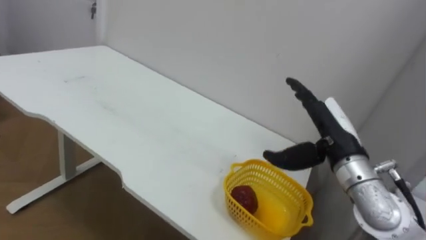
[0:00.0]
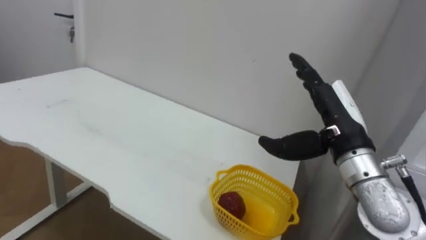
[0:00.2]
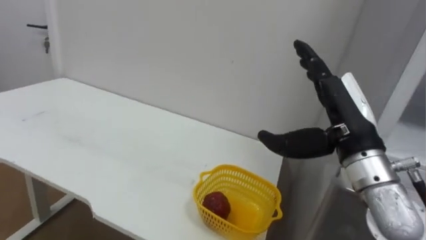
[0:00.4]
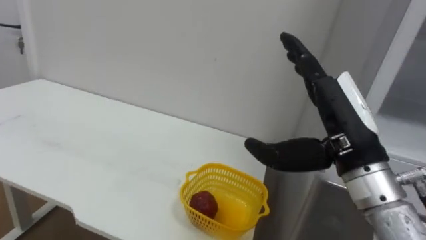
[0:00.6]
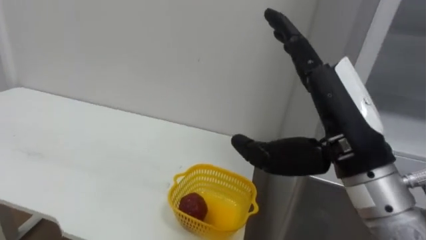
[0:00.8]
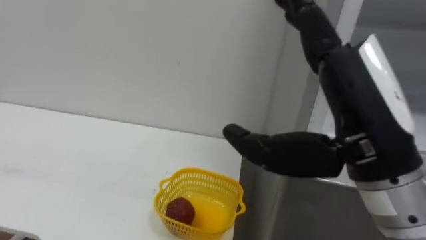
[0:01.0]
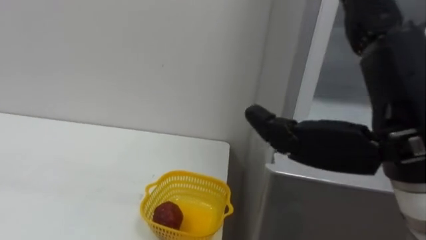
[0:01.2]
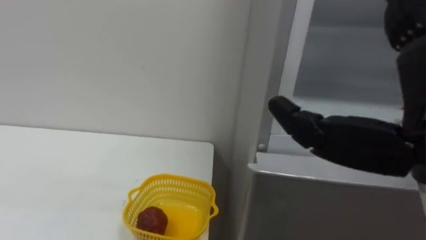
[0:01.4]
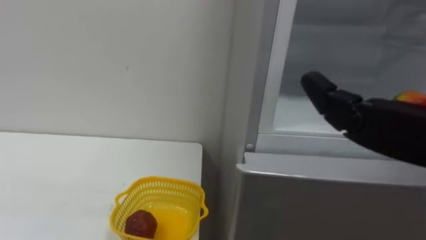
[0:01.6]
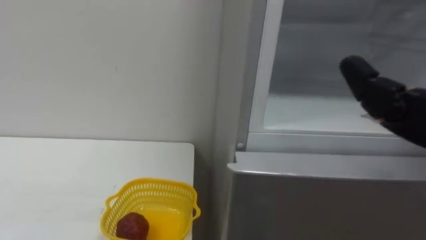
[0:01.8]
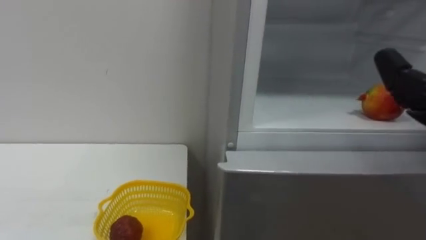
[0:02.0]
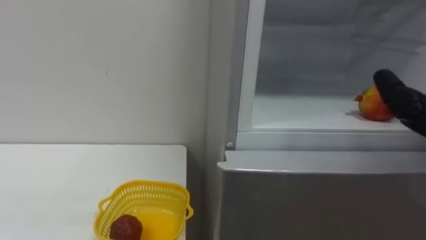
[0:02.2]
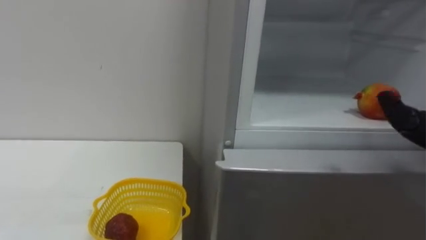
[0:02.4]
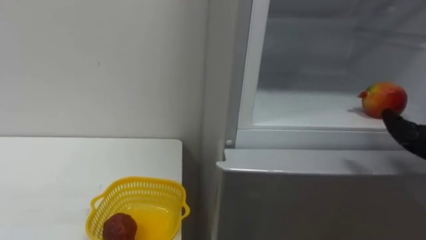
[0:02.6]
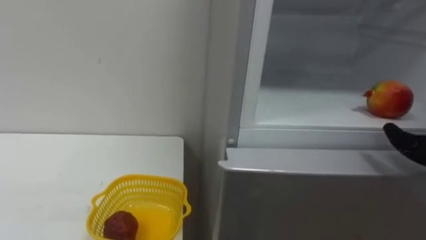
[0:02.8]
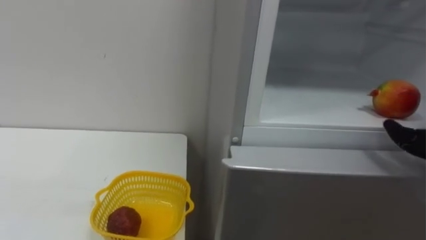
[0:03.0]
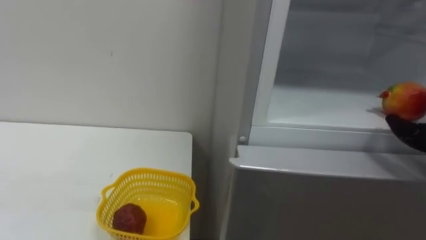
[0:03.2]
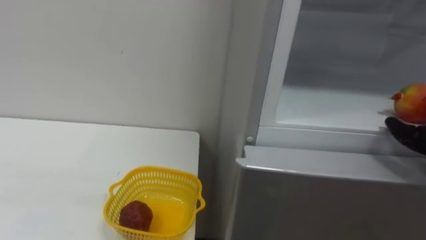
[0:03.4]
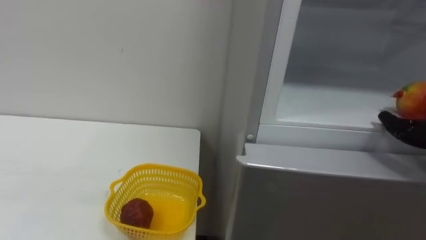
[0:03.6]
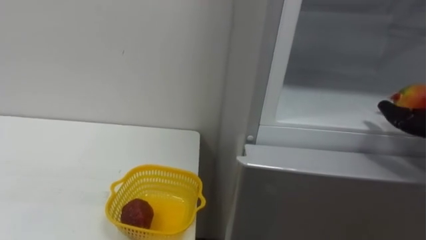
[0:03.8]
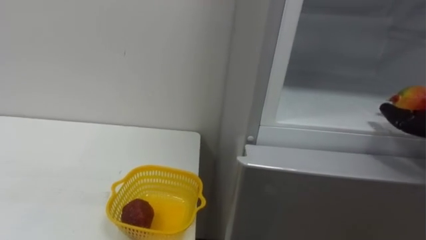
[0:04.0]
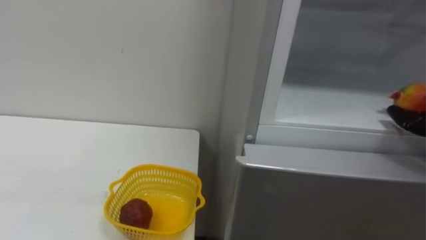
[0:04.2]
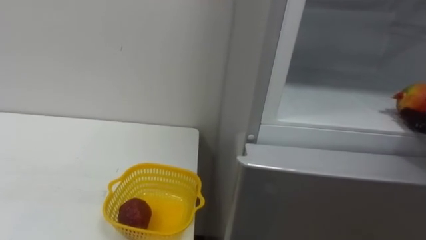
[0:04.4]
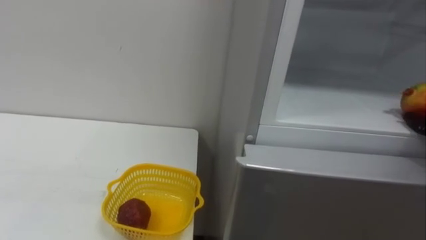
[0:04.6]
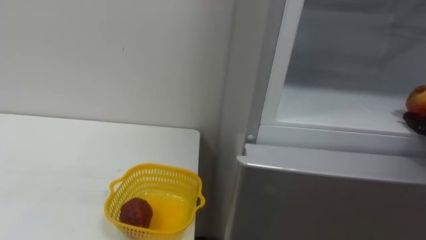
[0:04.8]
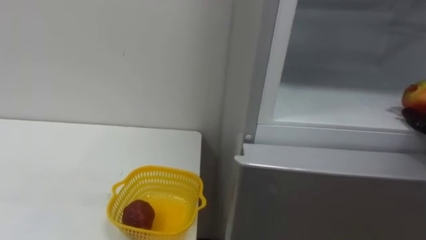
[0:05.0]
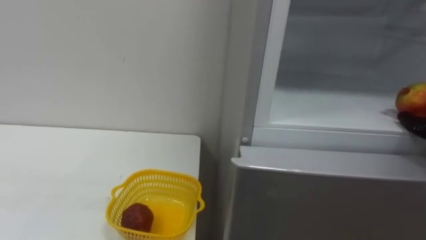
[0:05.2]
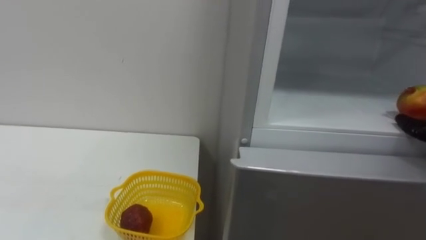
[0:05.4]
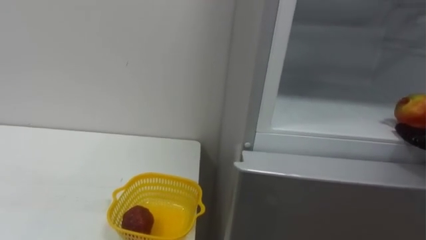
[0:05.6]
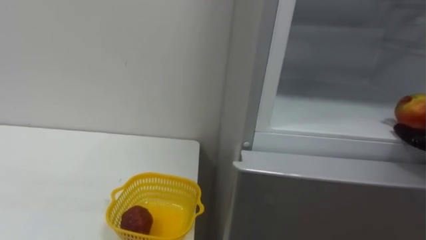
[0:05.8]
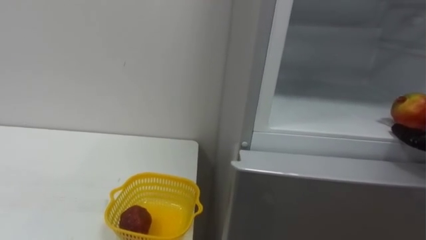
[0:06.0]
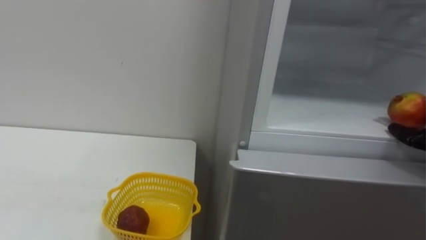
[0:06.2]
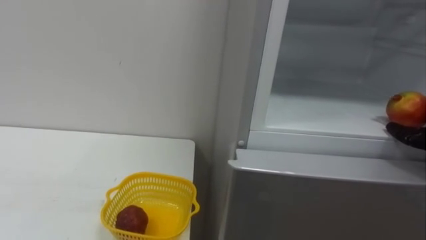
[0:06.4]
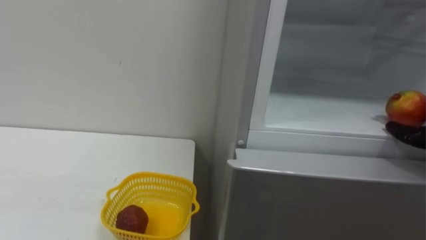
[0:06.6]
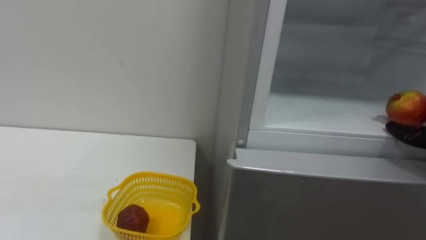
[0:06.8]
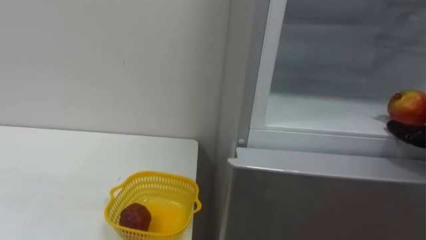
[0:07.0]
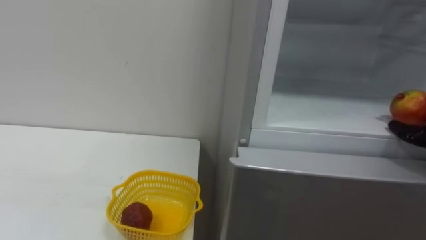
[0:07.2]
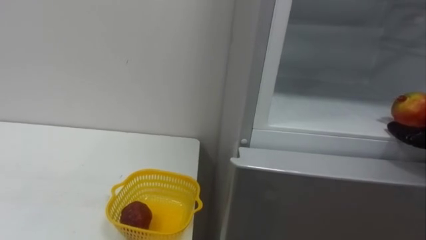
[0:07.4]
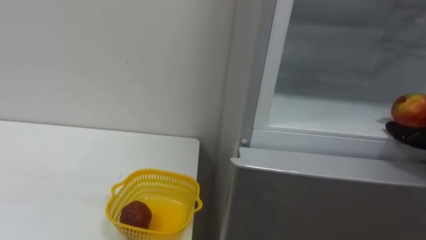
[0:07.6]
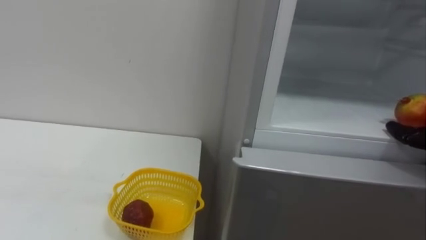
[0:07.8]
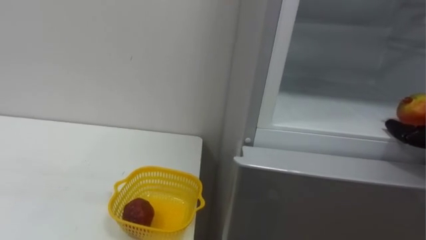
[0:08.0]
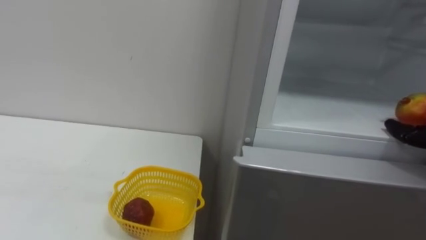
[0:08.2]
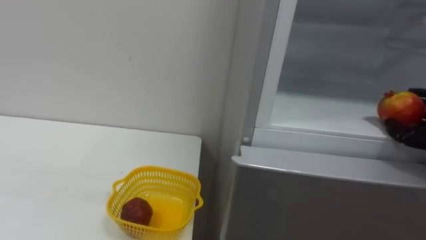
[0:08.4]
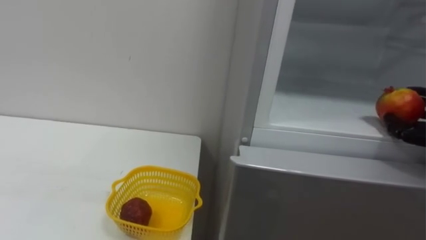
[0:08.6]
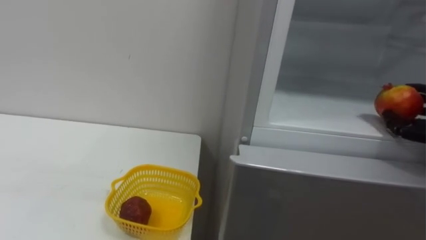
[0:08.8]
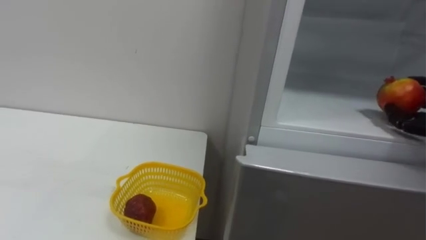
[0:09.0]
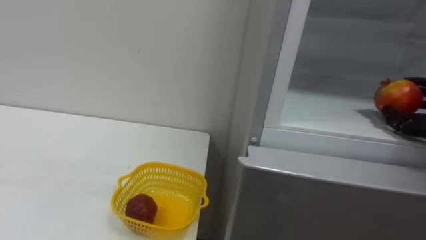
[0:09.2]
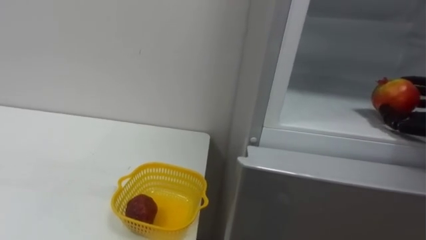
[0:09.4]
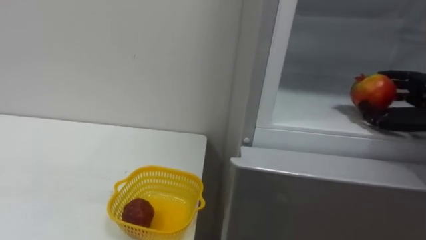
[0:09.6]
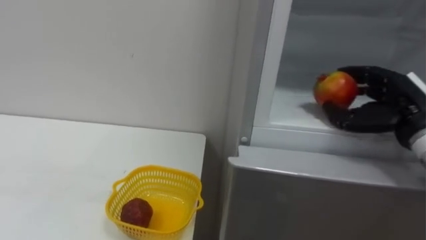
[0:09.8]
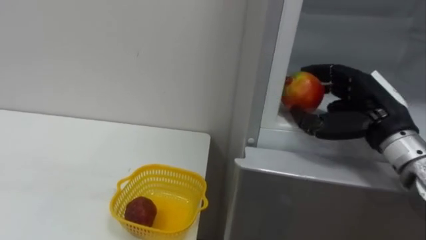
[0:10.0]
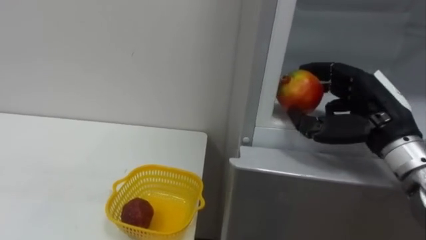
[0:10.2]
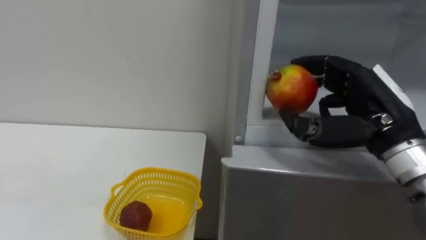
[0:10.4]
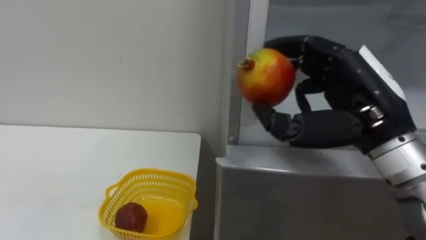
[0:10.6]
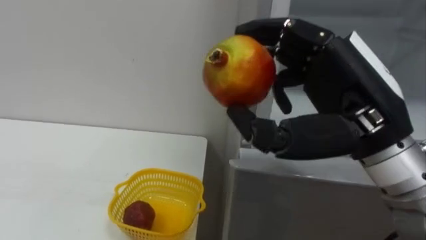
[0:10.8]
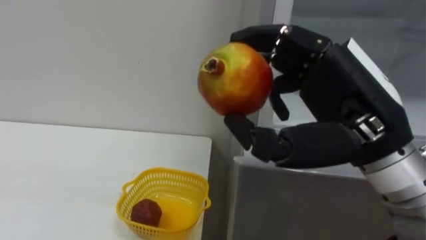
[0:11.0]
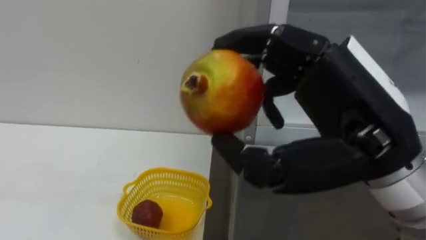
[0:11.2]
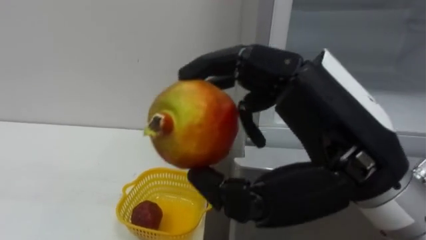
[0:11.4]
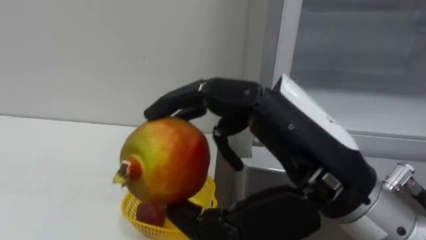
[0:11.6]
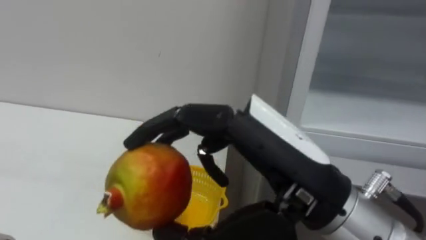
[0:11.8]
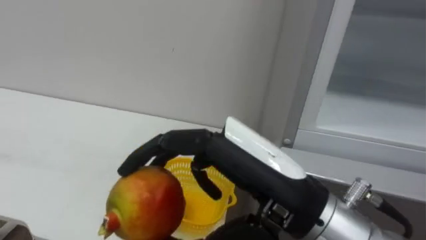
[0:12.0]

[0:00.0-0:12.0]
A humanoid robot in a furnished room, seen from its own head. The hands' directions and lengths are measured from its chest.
Task of the whole recording: Open the refrigerator door, take out the apple and the pomegranate, place them in the fruit basket on the left, and close the refrigerator door.
0:10.4 to 0:12.0: The right hand is displaced to the left and backward by roughly 20 cm.

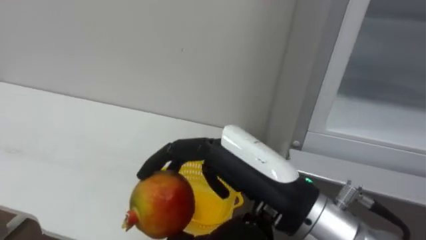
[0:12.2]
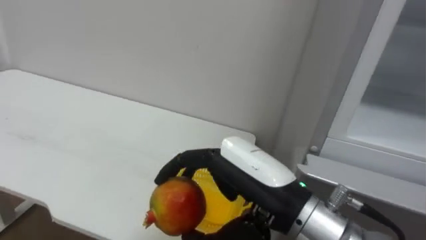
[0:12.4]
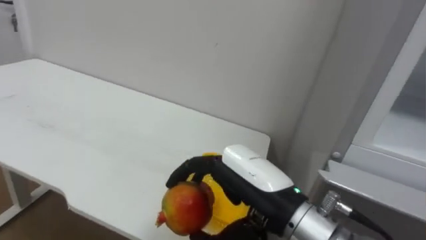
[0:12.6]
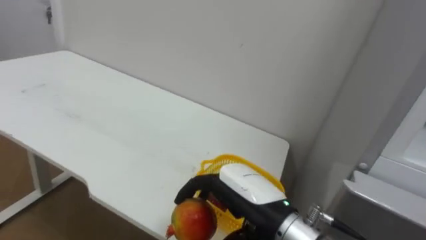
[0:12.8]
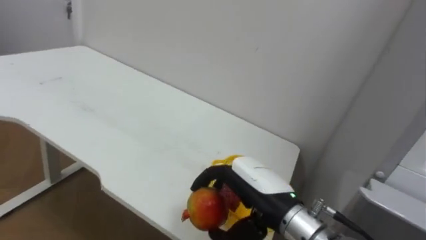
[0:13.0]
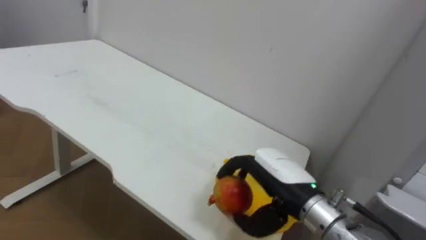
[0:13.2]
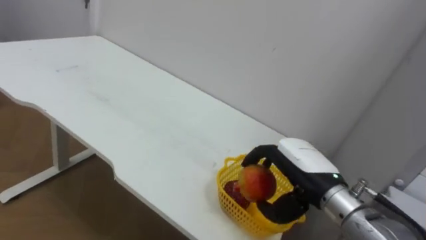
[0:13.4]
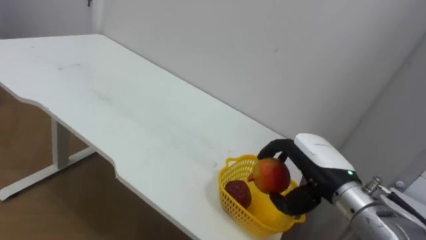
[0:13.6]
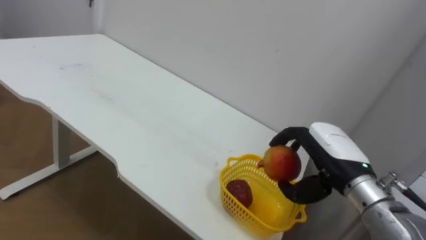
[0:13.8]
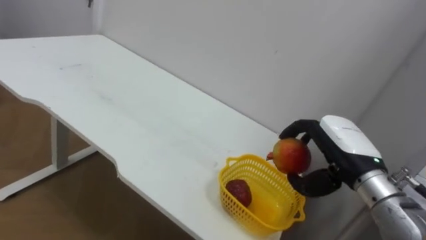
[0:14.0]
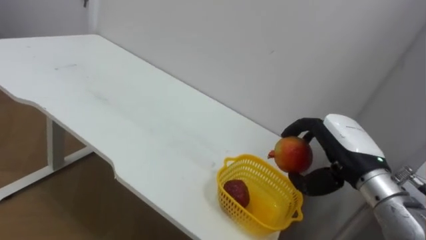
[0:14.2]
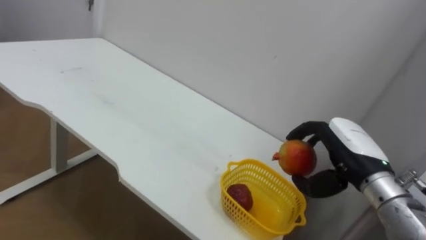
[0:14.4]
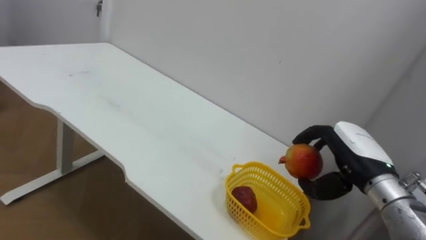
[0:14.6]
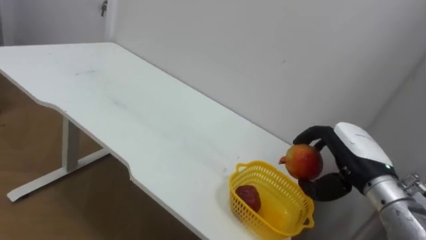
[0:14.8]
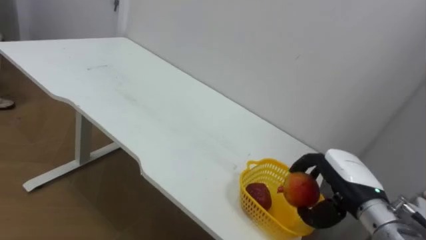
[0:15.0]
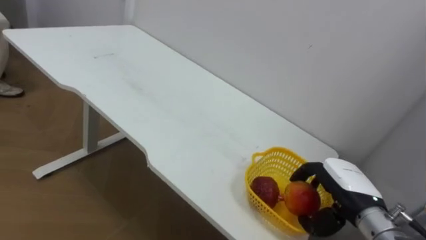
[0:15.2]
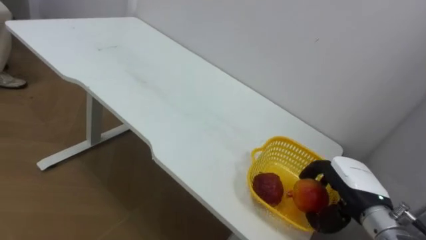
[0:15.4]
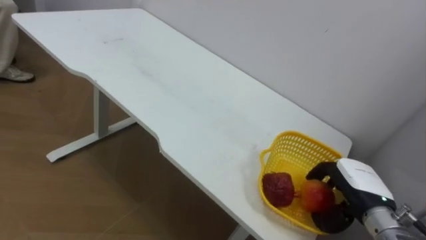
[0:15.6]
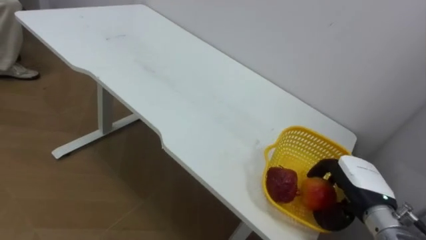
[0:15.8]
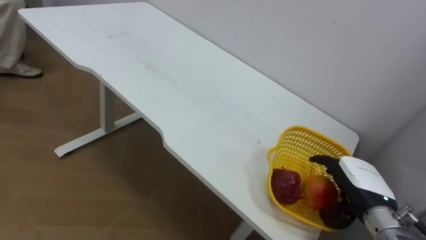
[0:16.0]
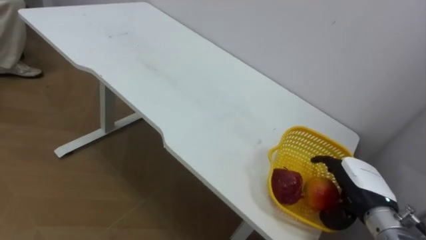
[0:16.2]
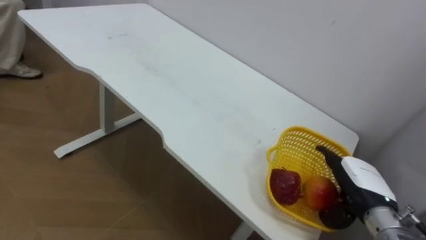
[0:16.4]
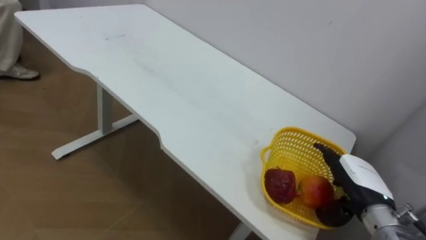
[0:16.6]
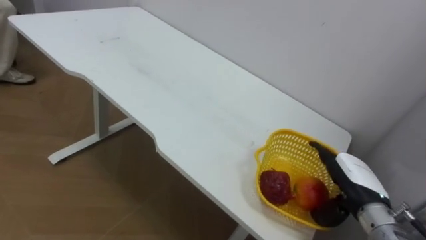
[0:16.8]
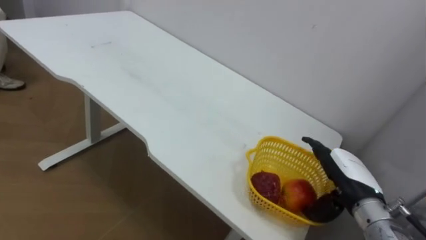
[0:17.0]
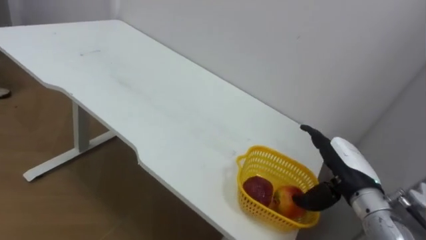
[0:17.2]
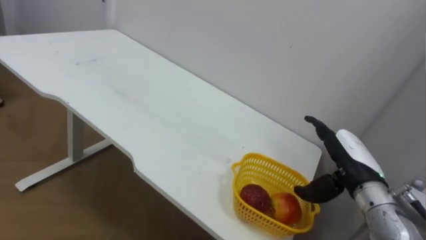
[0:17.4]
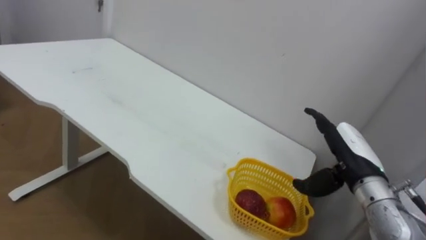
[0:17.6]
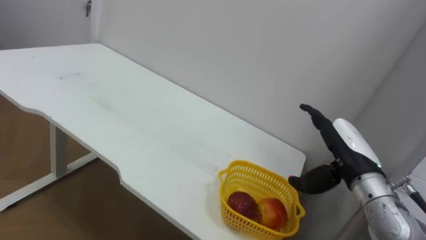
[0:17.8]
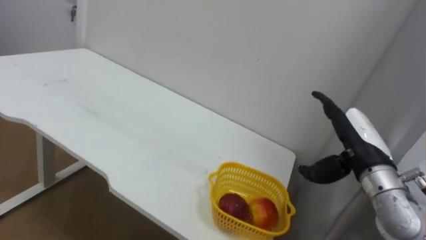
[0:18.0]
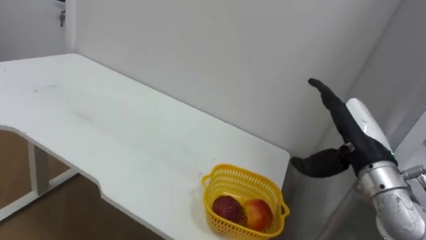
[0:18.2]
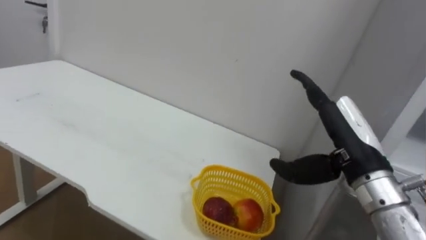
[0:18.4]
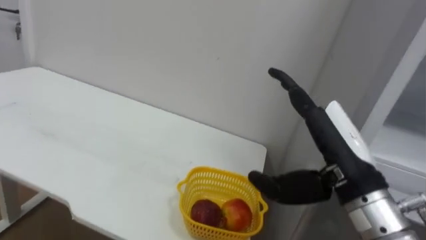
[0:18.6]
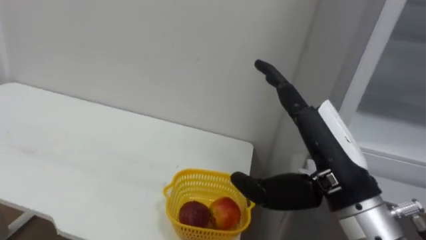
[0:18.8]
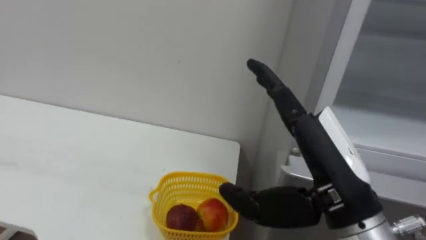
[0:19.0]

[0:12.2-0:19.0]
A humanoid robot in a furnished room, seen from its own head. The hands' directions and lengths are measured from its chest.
Task of the whole recording: Open the refrigerator door, take out the apple and the pomegranate, place them in the fruit basket on the left, and close the refrigerator door.
0:12.2 to 0:13.6: The right hand travels forward, to the right and downward by roughly 20 cm.
0:13.6 to 0:15.0: The right hand is displaced to the right by approximately 5 cm.
0:16.2 to 0:17.6: The right hand is displaced upward by approximately 5 cm.
0:17.6 to 0:19.0: The right hand goes about 20 cm backward, upward and to the left.
